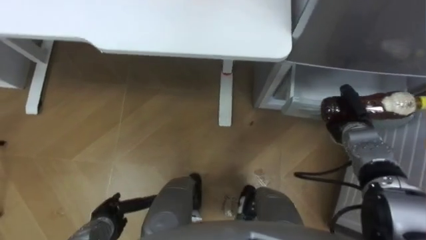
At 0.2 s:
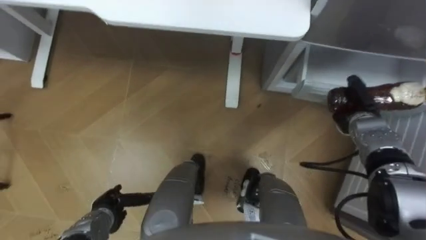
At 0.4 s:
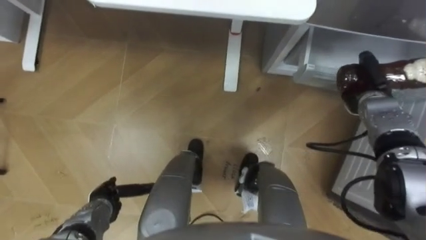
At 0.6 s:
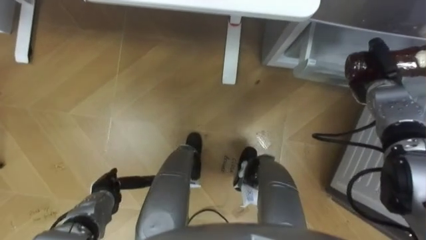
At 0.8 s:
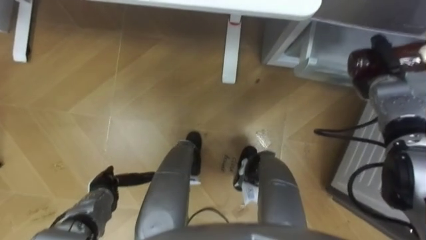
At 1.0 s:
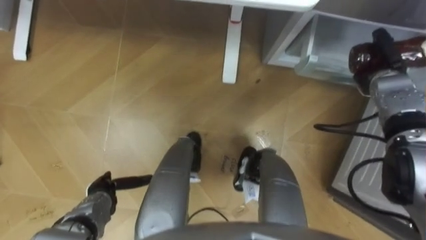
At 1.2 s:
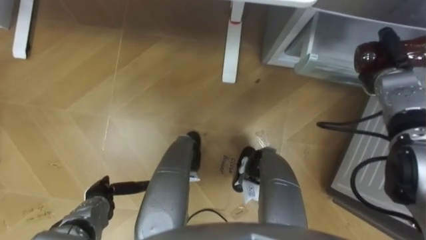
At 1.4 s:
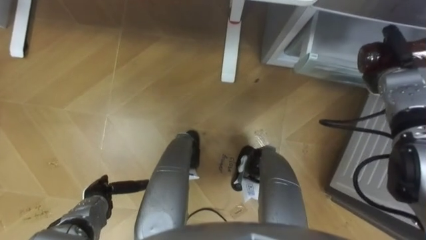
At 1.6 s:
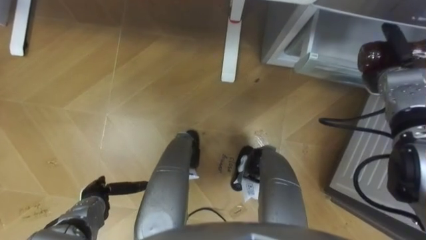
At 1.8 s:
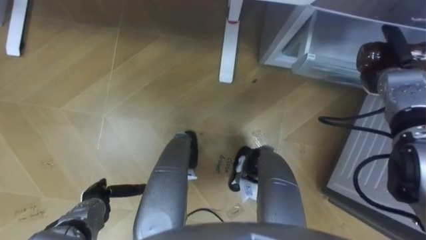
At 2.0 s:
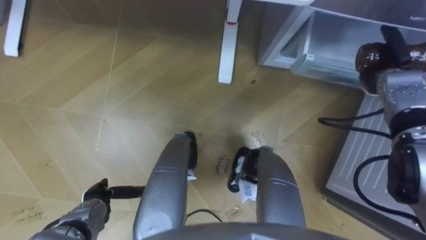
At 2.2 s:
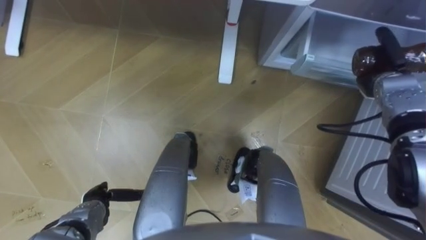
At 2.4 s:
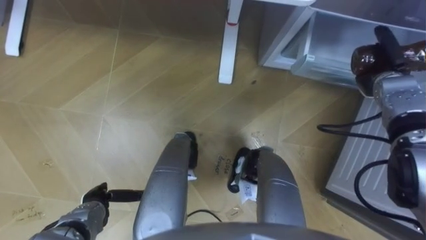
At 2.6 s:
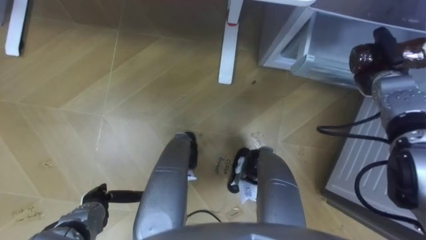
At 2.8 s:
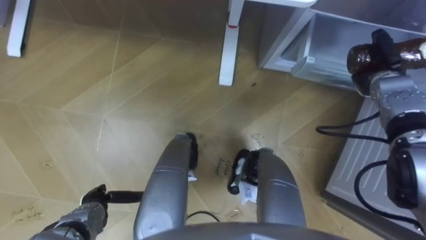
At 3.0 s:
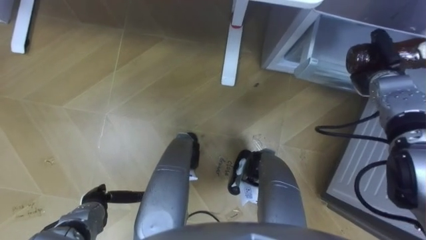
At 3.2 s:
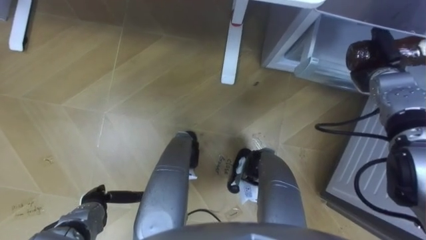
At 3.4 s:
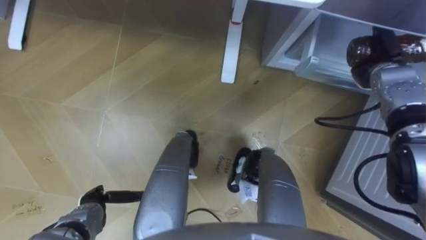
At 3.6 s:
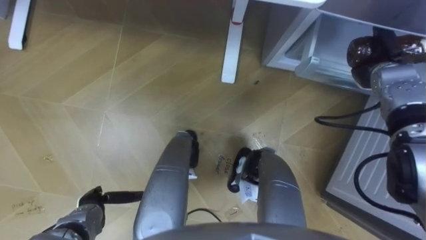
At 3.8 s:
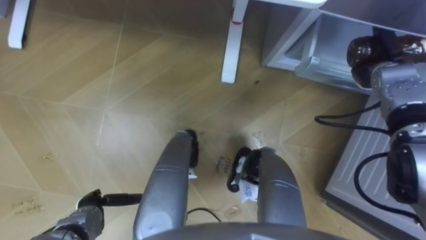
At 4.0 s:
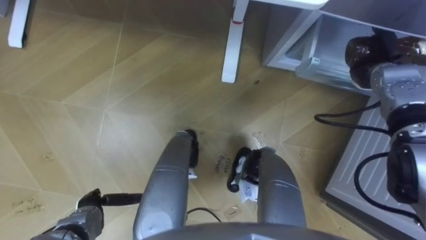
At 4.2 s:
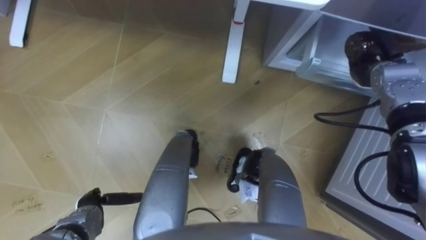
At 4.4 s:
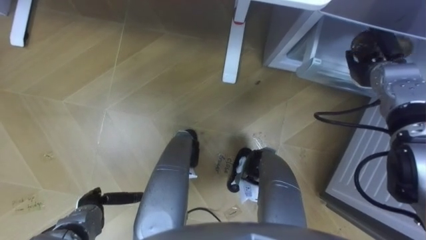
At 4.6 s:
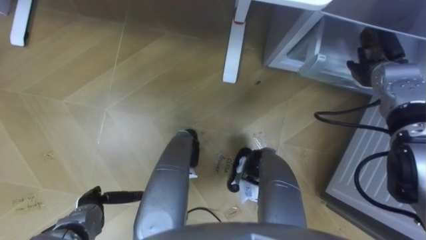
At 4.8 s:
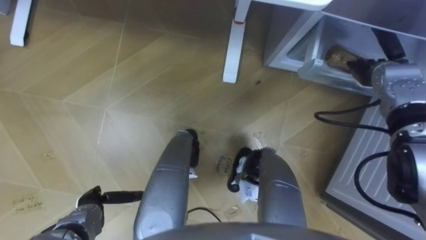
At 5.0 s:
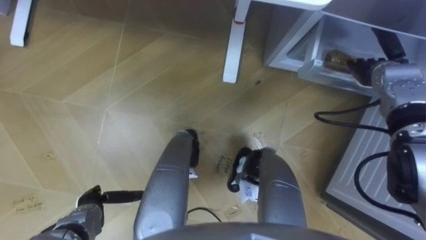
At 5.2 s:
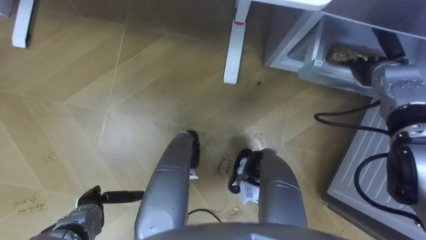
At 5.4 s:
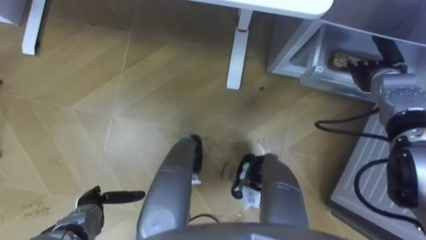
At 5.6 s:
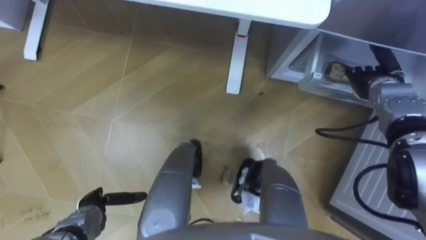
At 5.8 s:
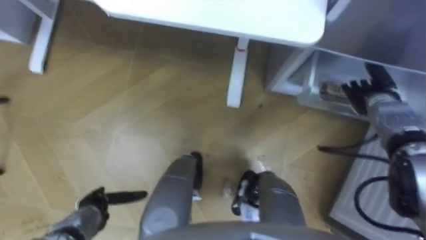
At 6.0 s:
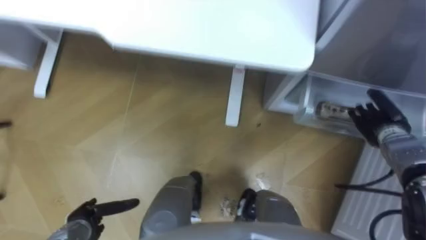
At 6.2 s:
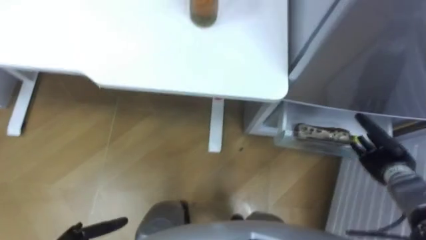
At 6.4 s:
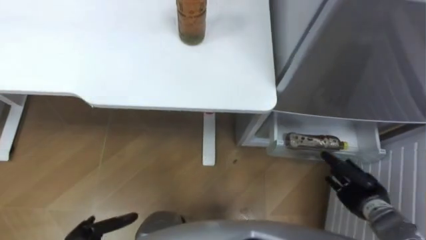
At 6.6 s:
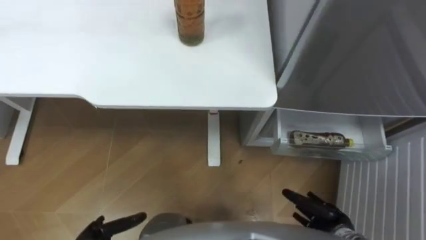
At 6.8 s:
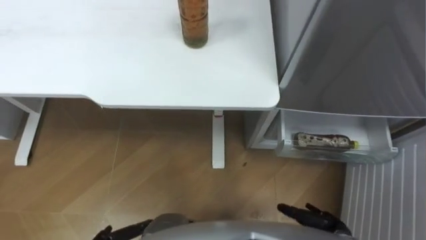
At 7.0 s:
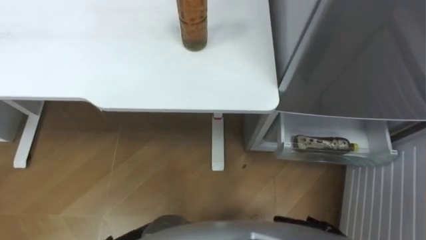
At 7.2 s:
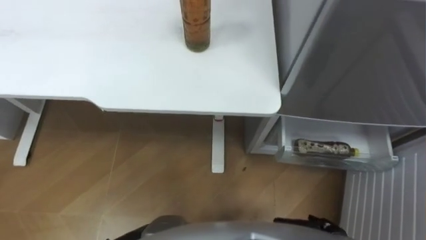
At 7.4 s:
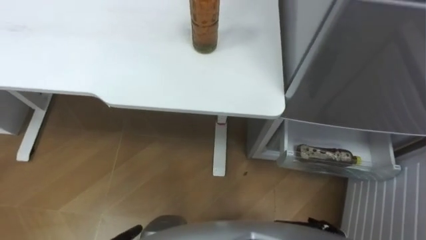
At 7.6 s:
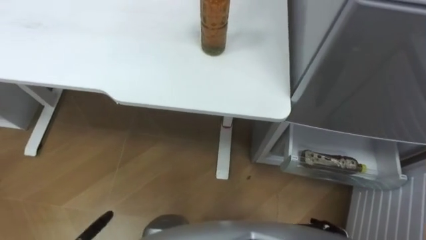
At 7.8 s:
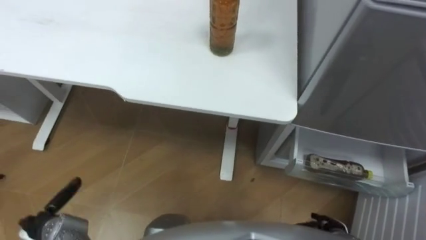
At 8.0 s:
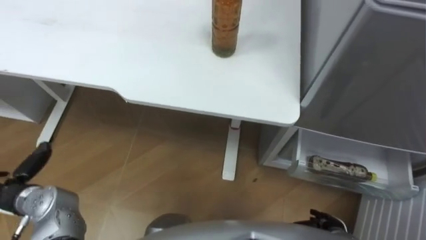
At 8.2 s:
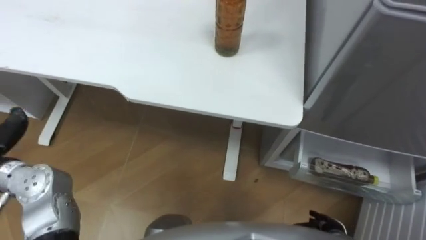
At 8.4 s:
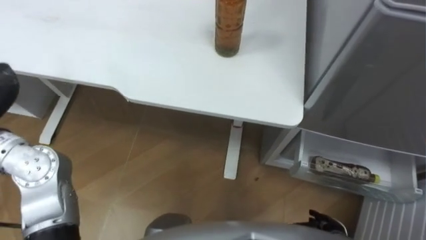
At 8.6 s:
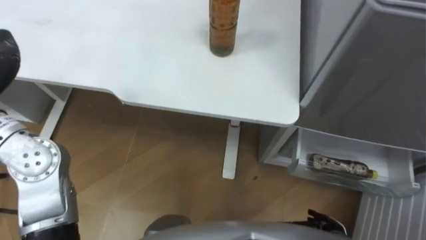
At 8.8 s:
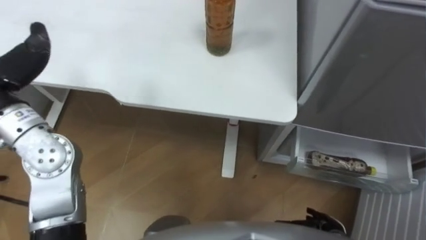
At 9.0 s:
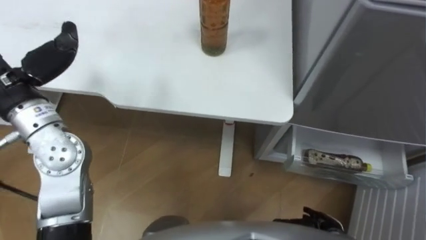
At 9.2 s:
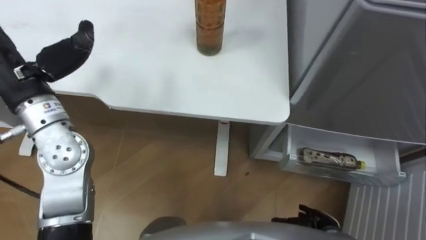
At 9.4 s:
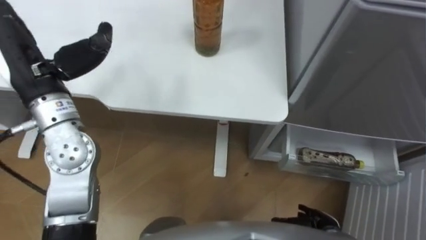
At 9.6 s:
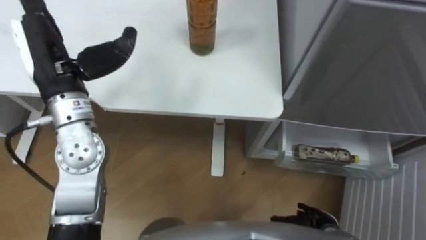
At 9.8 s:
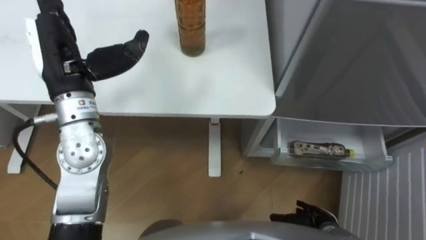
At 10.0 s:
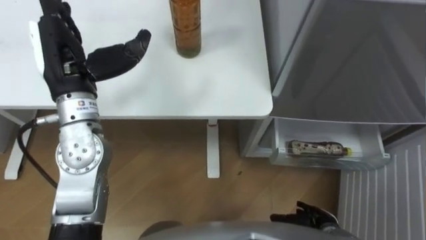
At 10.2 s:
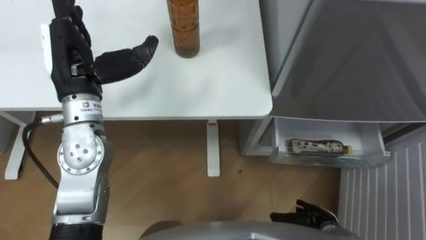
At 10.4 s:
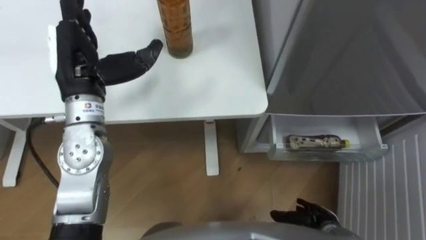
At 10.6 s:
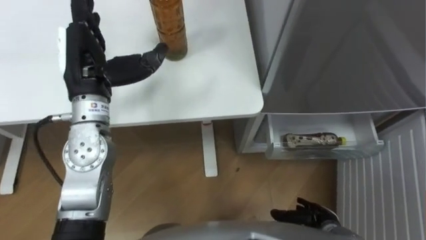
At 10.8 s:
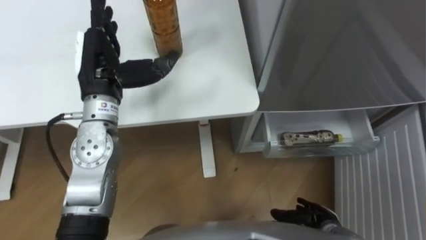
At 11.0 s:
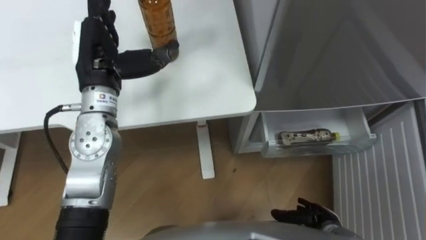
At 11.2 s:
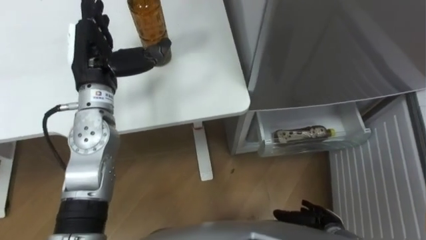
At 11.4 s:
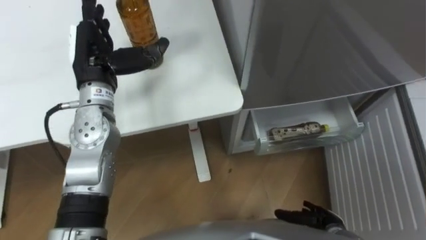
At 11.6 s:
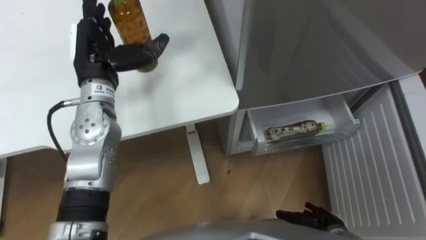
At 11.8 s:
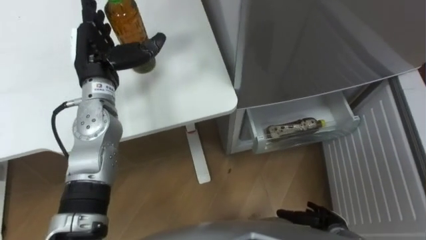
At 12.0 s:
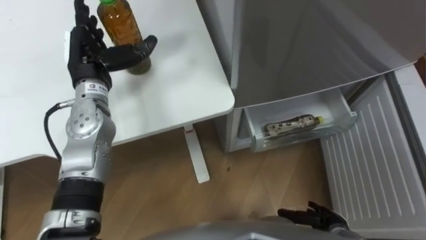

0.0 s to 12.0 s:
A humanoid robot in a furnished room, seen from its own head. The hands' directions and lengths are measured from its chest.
Task of the whole recording: Place the drink on the table on the bottom shelf of the refrigerator, then close the drawer and the refrigerator door.
0.0 to 1.6 s: The right hand is displaced upward and forward by about 10 cm. The left hand ends up some 5 cm from where it was.
3.0 to 4.4 s: The right hand opens.
4.4 to 6.0 s: The right hand goes some 10 cm backward and downward.
9.0 to 10.4 s: The left hand goes about 10 cm to the right.
10.4 to 12.0 s: The left hand is displaced downward and forward by about 10 cm.

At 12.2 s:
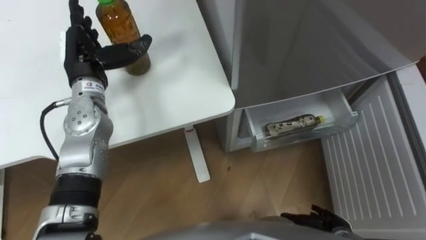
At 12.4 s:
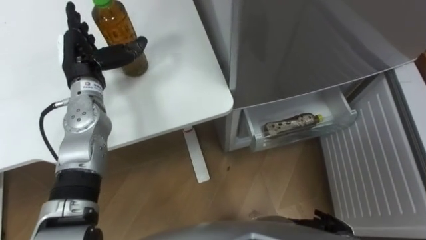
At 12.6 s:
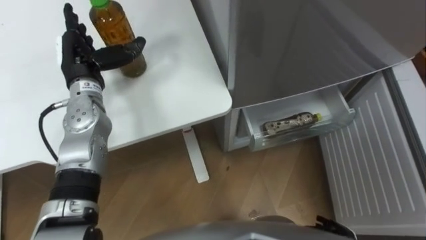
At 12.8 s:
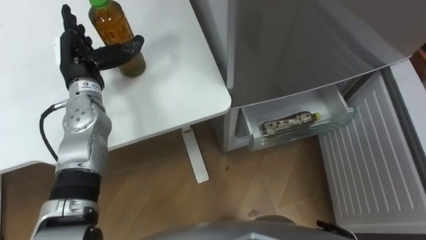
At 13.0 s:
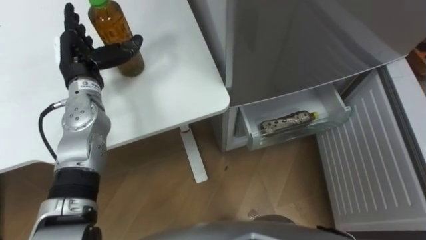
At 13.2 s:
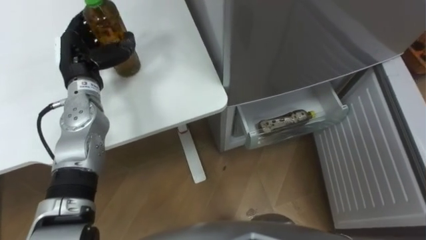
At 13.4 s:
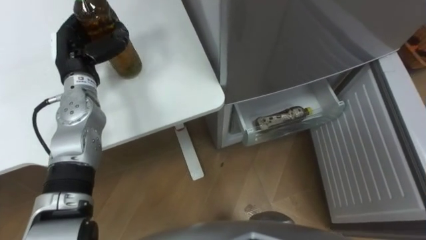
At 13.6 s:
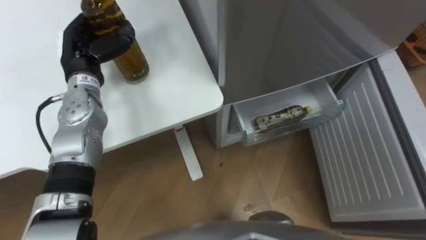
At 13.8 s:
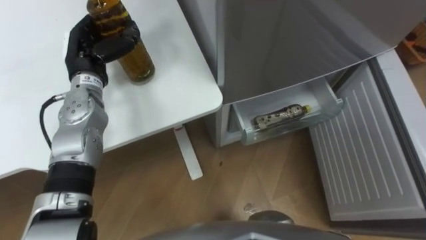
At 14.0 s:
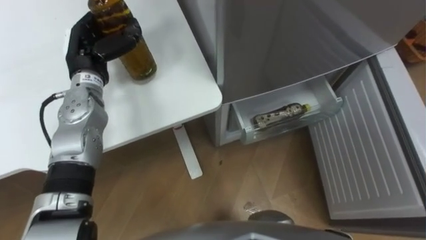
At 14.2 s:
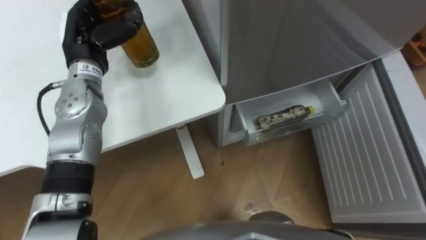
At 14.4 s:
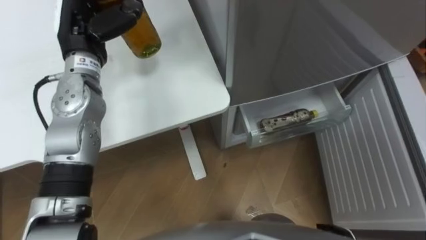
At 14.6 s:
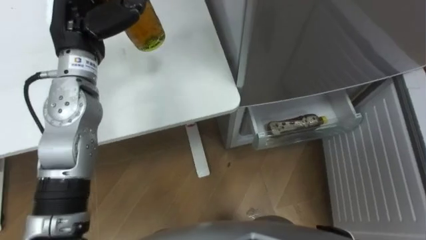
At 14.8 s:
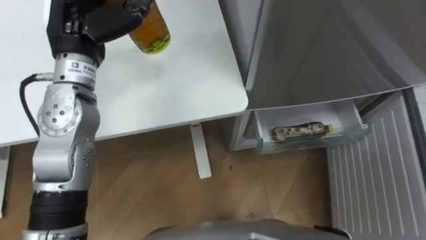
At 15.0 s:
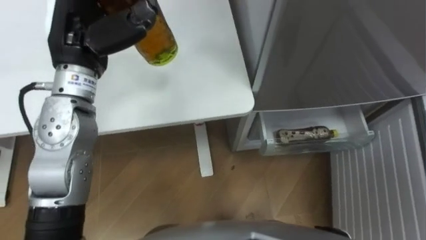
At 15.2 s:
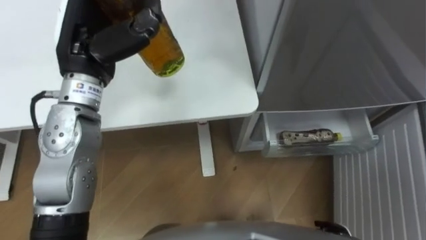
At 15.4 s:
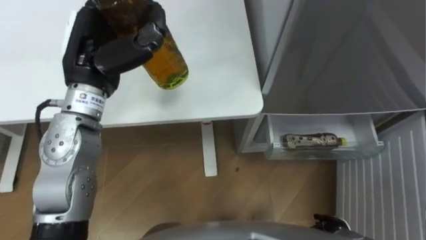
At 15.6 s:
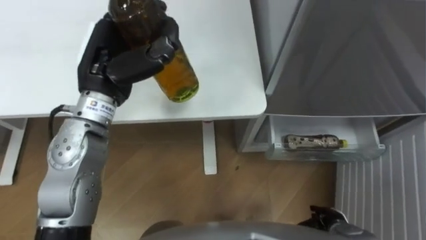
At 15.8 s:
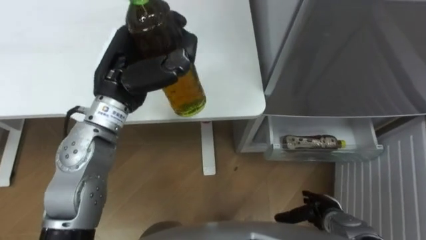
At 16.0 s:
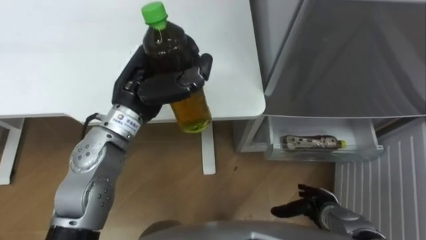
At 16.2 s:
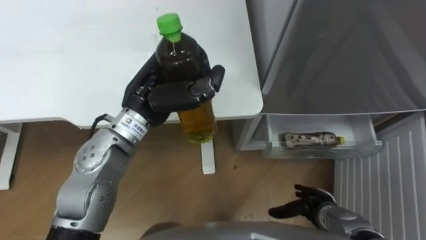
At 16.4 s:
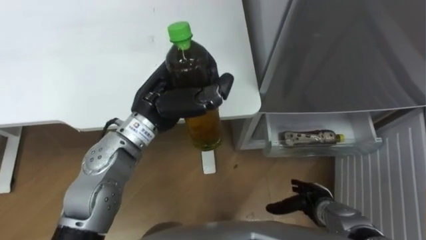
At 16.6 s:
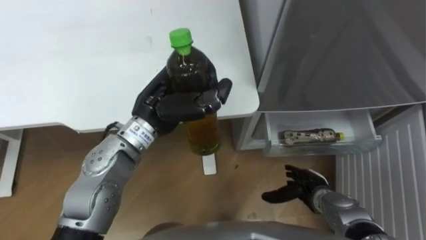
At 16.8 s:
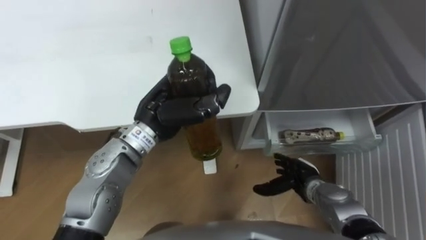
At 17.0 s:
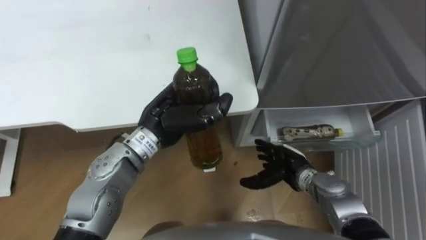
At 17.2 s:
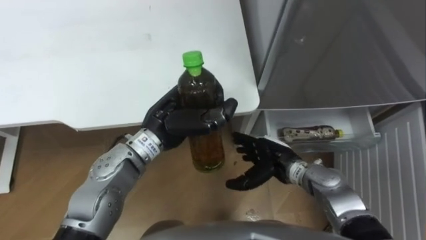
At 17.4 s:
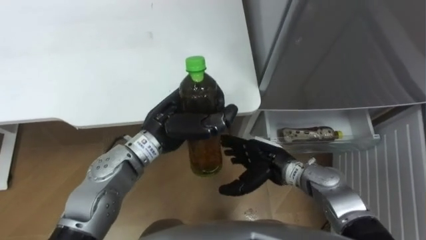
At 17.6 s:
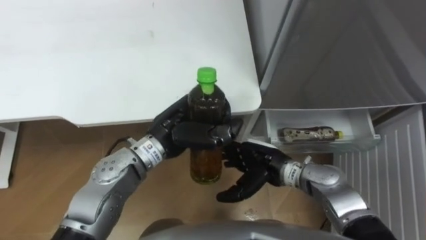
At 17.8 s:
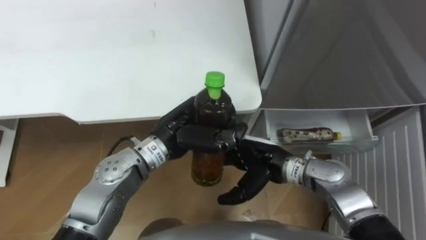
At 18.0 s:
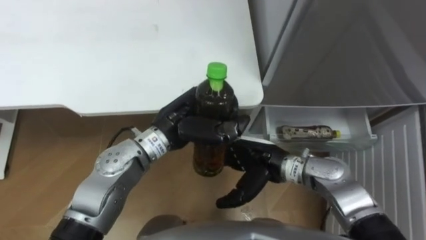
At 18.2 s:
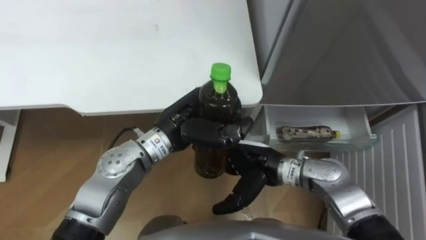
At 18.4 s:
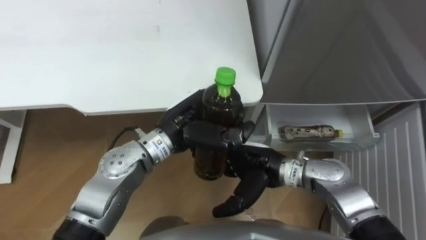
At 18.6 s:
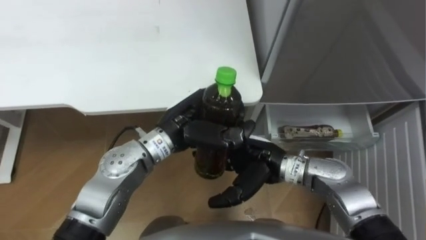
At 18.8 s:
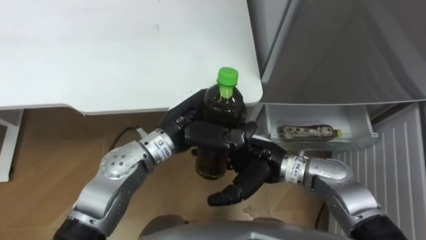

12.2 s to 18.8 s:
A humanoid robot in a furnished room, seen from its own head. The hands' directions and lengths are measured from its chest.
Task of the whole recording: Place the drink on the table on the bottom shelf of the refrigerator, then close the drawer and the refrigerator door.
12.2 to 13.8 s: The left hand closes.
13.8 to 15.4 s: The left hand travels upward, backward and to the right by about 10 cm.
15.4 to 17.2 s: The right hand travels forward, to the left and upward by about 25 cm, while the left hand travels to the right and downward by roughly 15 cm.
17.2 to 18.8 s: The right hand is displaced upward and to the left by about 10 cm.
